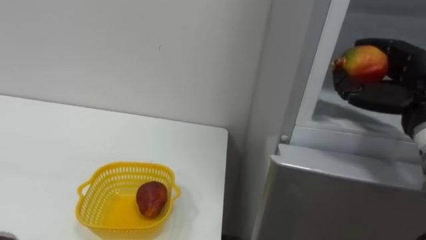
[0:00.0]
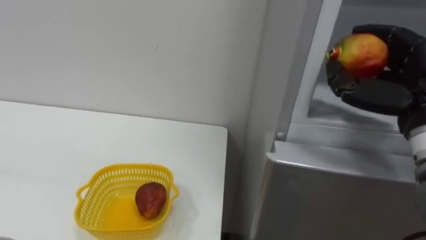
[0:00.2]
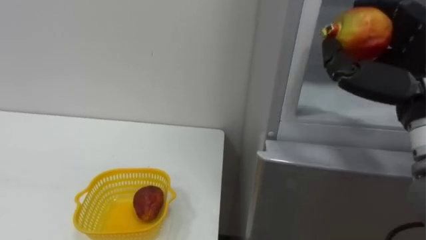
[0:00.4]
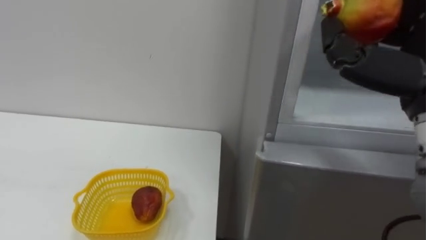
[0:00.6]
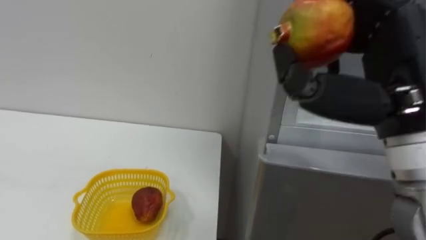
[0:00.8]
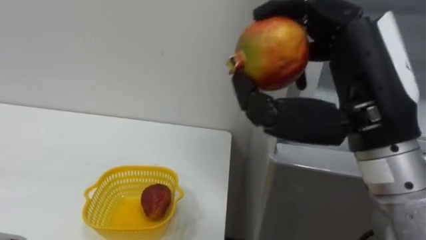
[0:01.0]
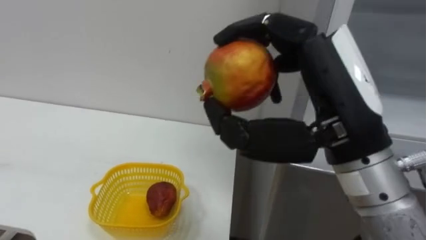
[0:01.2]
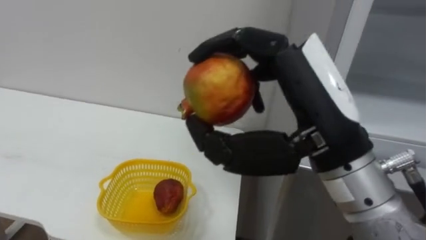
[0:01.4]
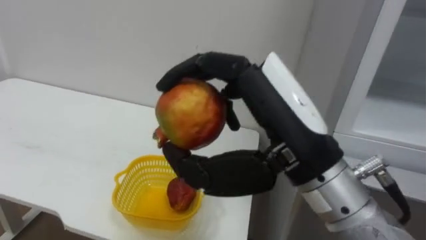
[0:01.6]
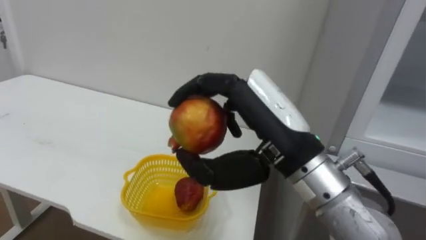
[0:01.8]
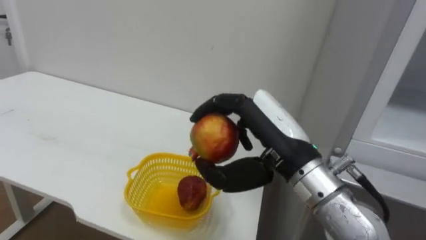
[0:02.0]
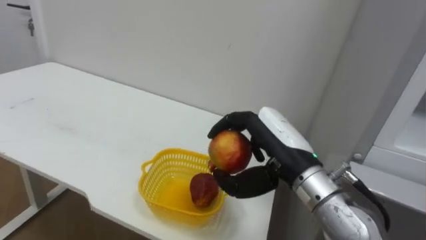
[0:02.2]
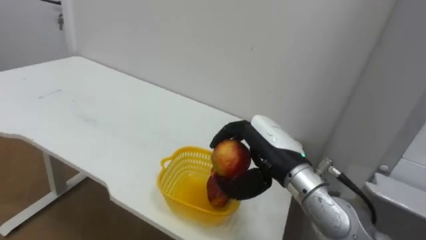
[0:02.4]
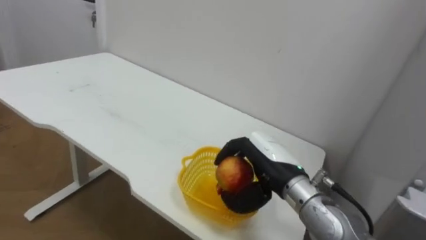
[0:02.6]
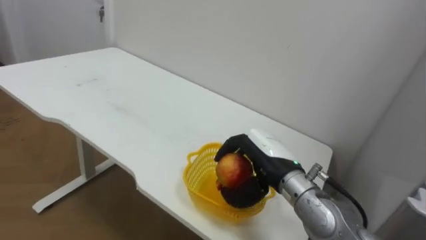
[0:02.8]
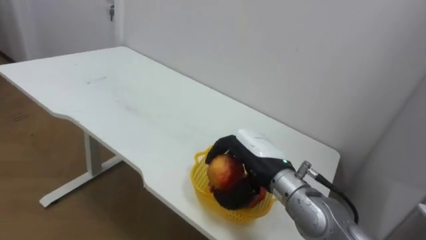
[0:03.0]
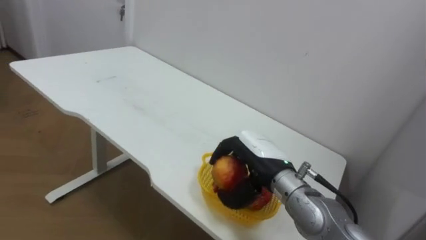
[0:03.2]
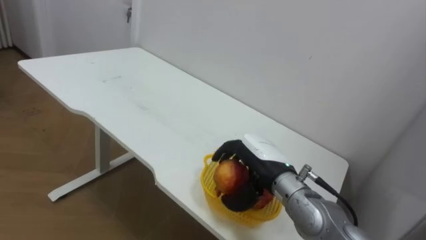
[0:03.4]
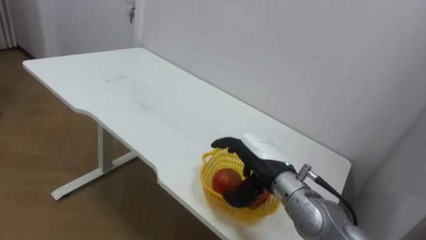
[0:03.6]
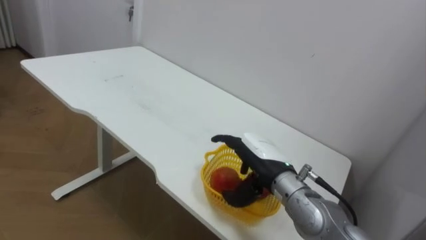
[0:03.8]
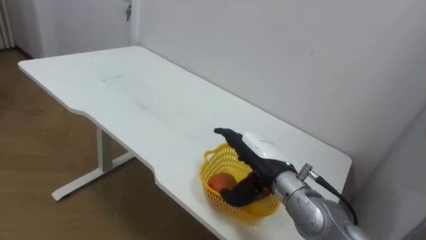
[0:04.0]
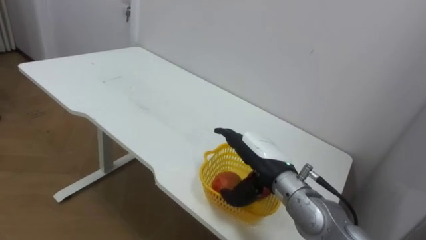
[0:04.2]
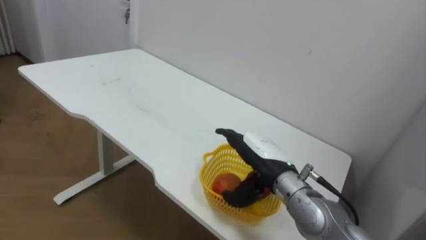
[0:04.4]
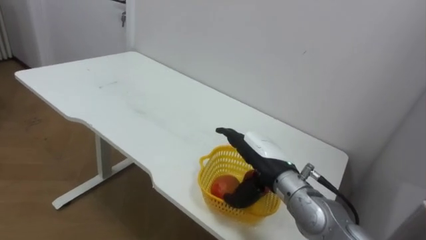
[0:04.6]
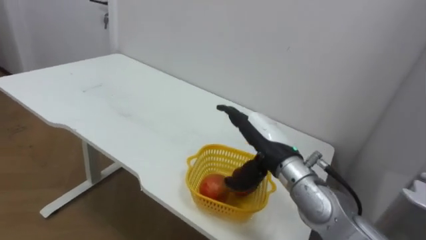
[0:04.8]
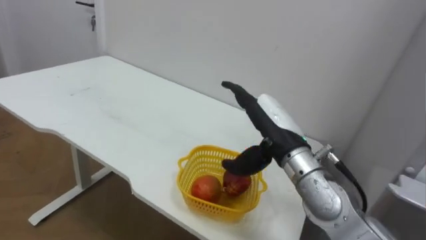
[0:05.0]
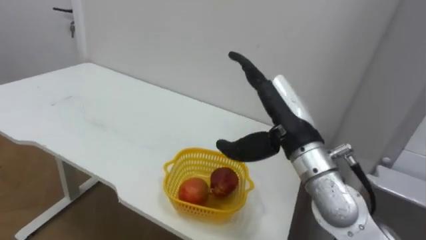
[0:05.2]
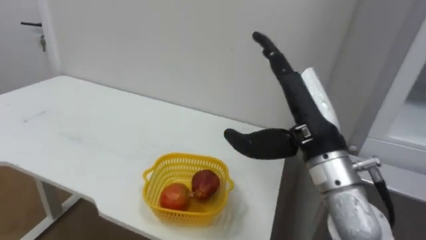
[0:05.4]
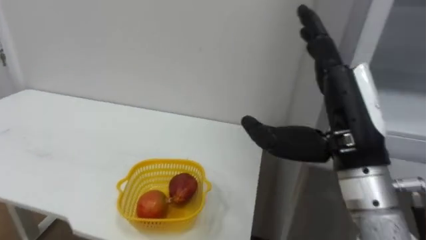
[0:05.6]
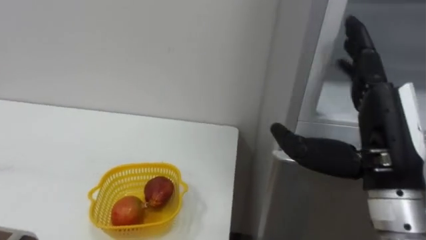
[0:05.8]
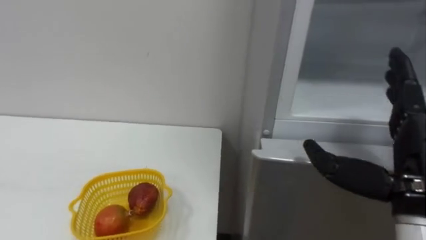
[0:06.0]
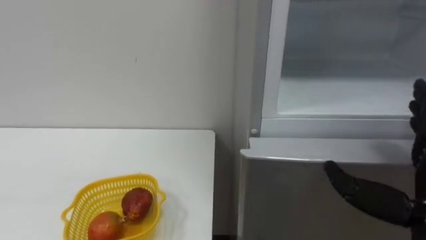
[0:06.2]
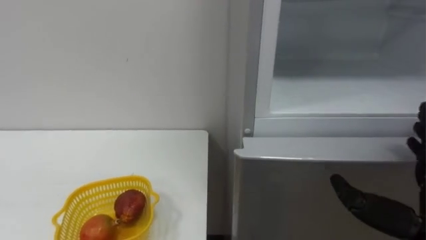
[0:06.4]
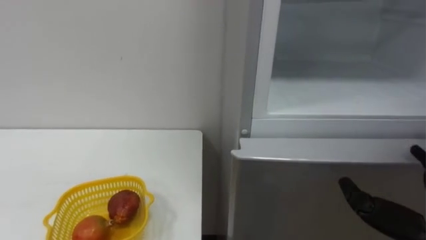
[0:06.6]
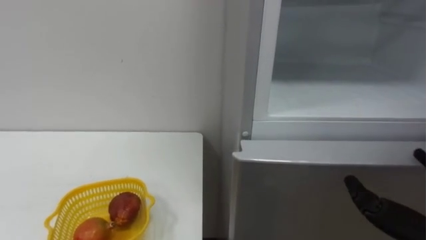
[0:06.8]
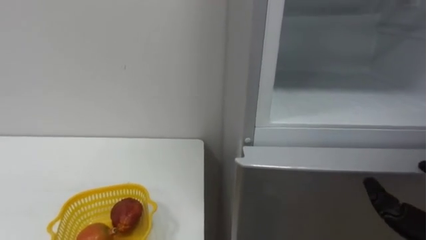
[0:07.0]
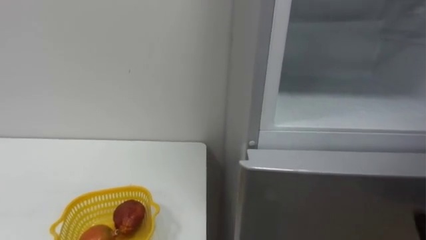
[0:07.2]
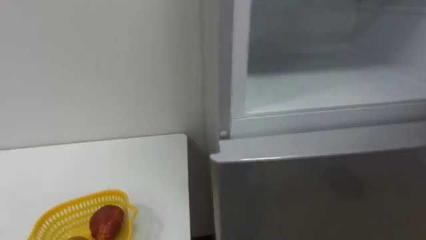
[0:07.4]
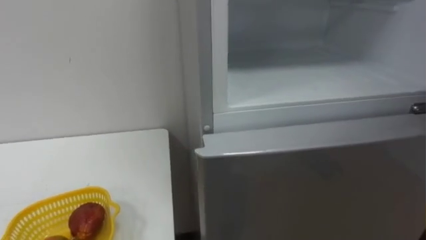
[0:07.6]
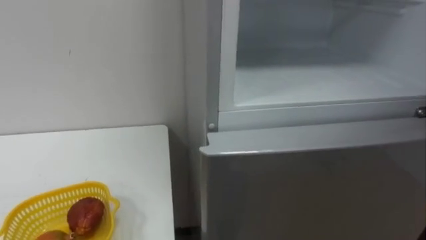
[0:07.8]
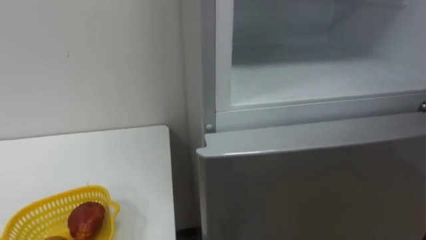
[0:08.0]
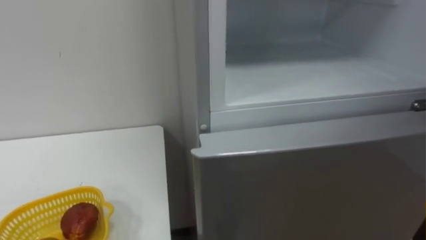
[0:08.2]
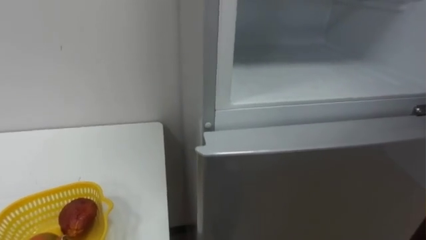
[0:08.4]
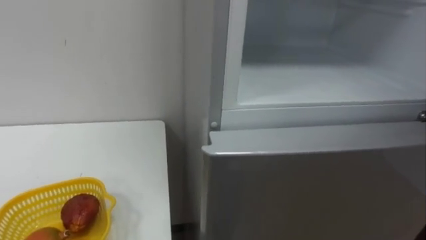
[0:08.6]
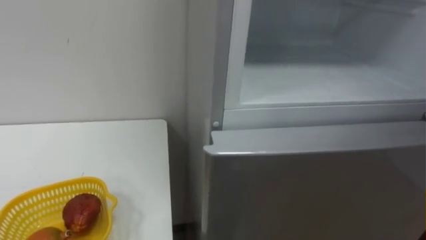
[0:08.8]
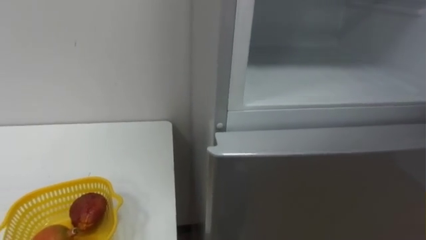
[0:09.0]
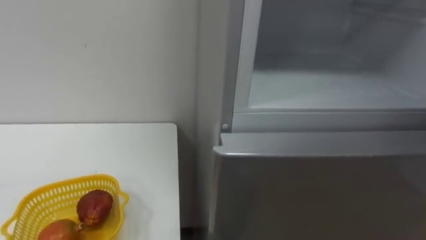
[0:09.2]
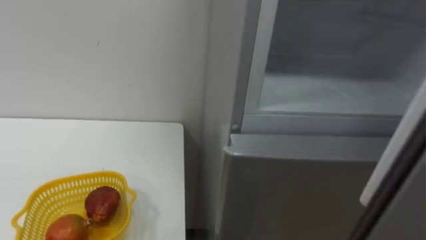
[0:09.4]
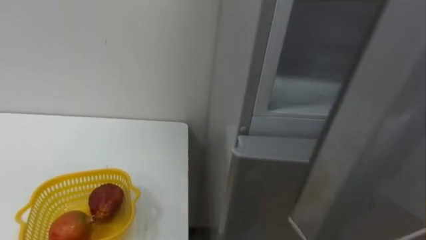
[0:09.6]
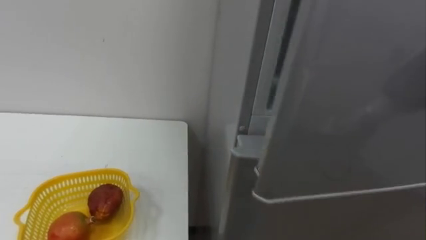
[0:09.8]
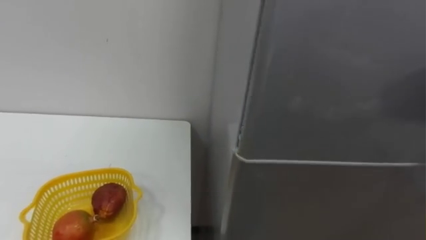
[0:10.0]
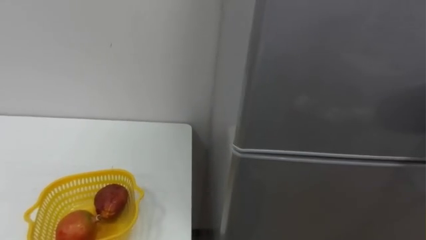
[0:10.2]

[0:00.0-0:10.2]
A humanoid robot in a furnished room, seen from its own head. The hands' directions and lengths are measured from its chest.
Task of the whole recording: Open the refrigerator door, take out the apple and the pomegranate, place them in the fruit basket on the left, and close the refrigerator door.
0:00.0 to 0:01.4: The right hand travels to the left and backward by approximately 20 cm.
0:01.4 to 0:03.0: The right hand is displaced downward and forward by approximately 20 cm.
0:03.0 to 0:04.4: The right hand opens.
0:04.4 to 0:05.8: The right hand heads upward, to the right and backward, covering approximately 20 cm.

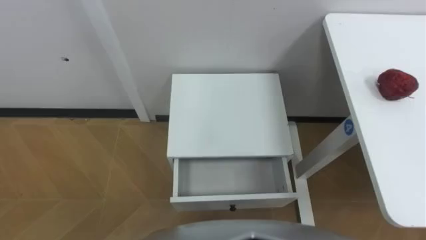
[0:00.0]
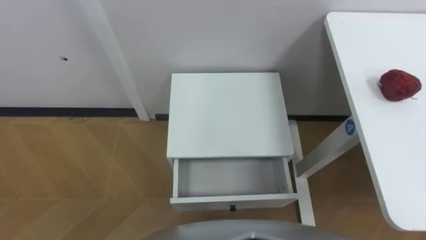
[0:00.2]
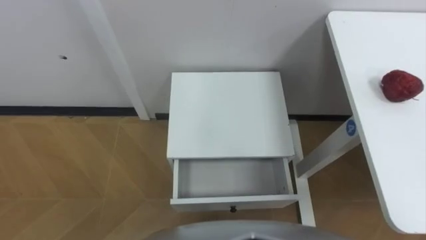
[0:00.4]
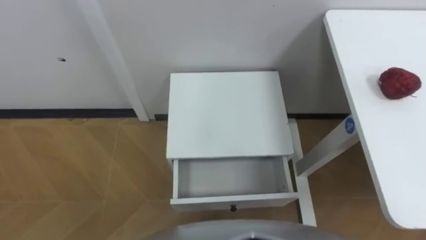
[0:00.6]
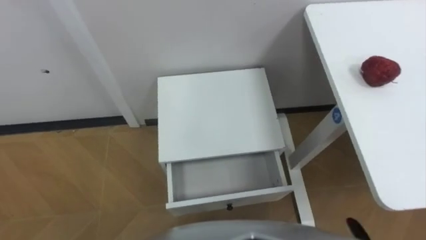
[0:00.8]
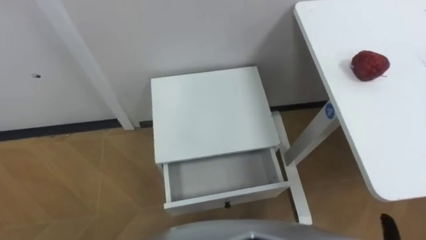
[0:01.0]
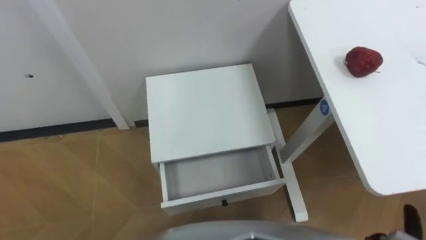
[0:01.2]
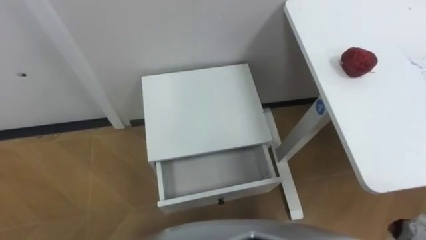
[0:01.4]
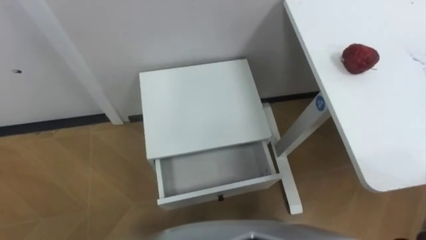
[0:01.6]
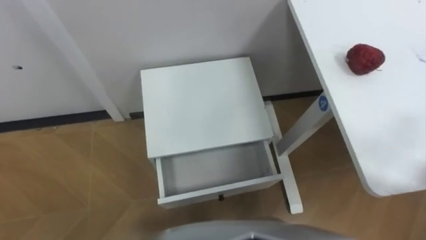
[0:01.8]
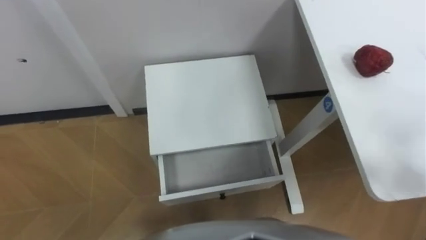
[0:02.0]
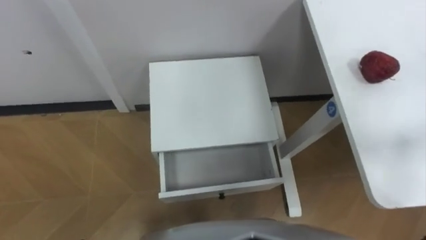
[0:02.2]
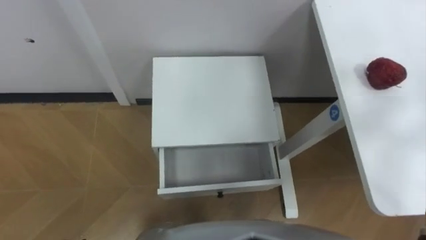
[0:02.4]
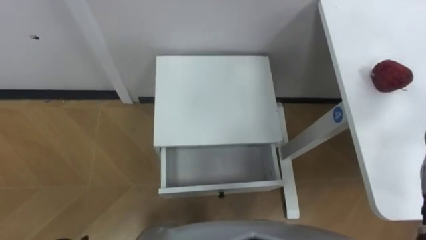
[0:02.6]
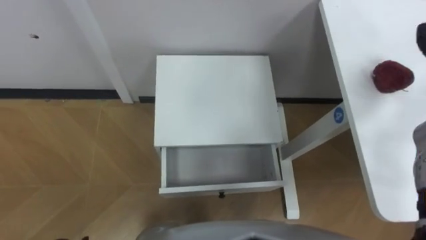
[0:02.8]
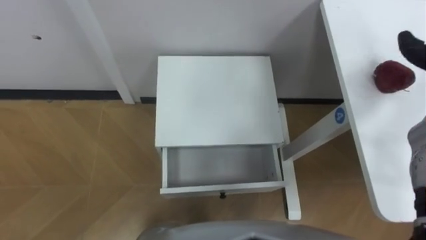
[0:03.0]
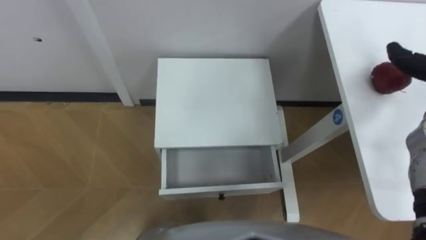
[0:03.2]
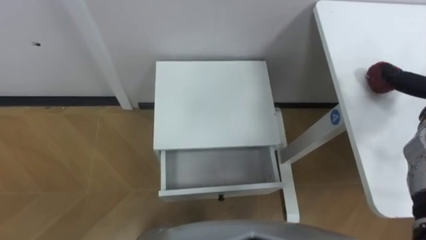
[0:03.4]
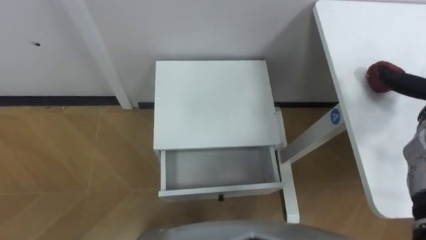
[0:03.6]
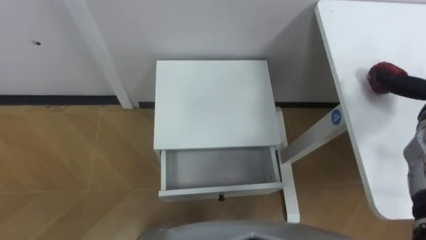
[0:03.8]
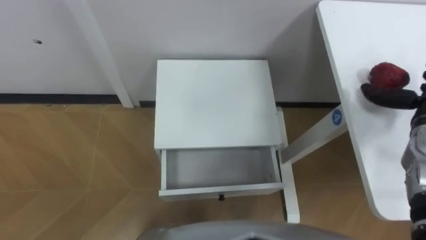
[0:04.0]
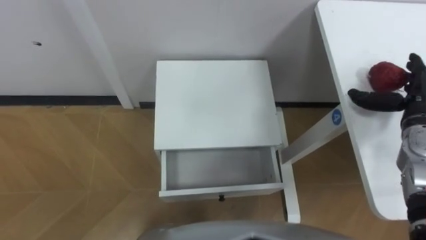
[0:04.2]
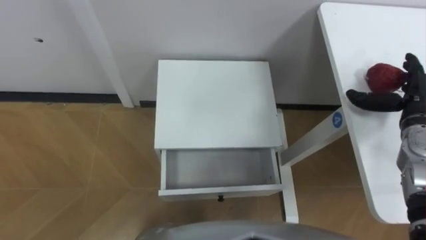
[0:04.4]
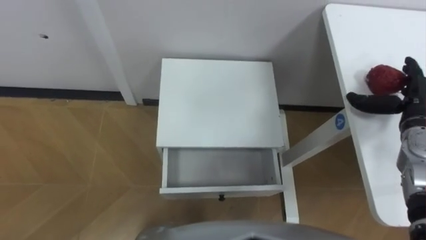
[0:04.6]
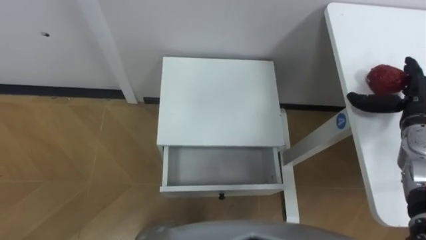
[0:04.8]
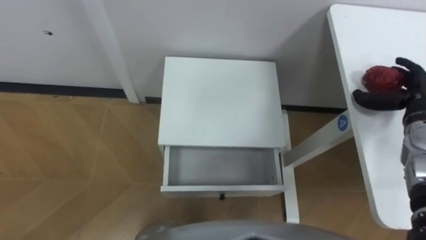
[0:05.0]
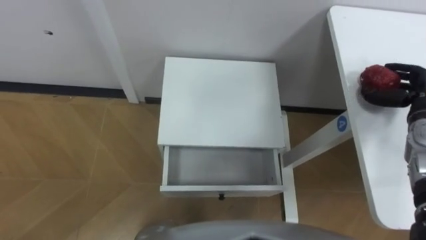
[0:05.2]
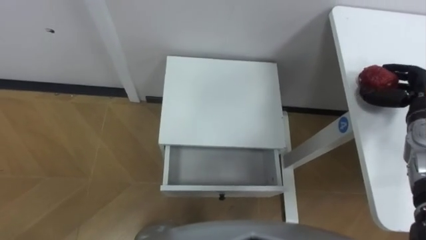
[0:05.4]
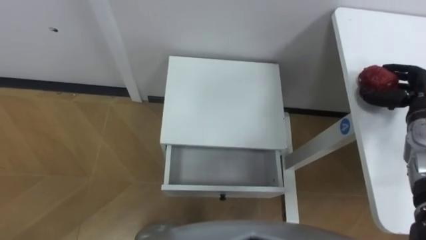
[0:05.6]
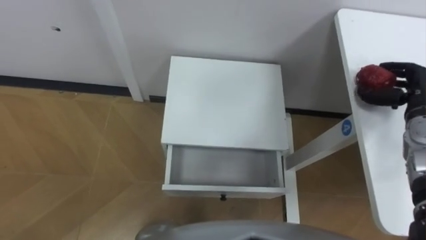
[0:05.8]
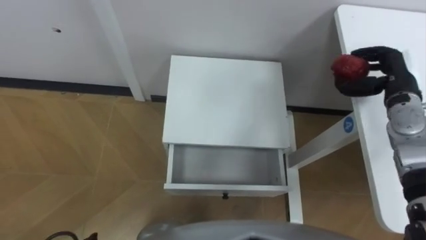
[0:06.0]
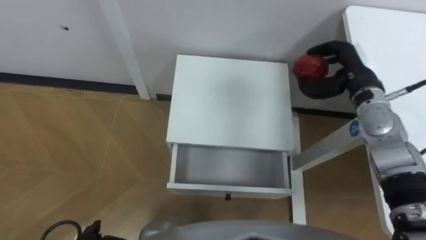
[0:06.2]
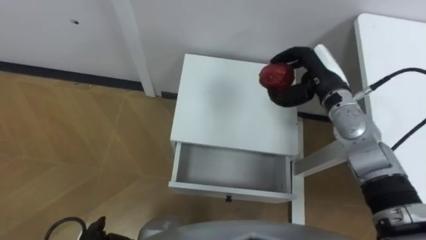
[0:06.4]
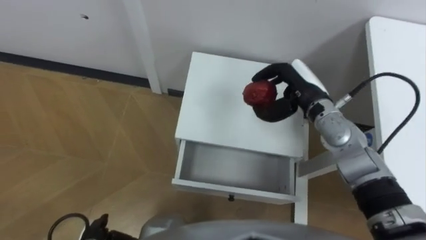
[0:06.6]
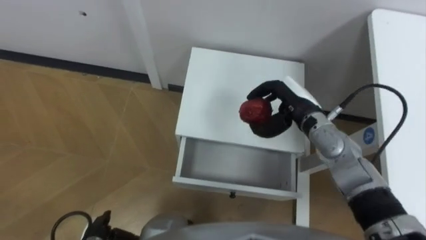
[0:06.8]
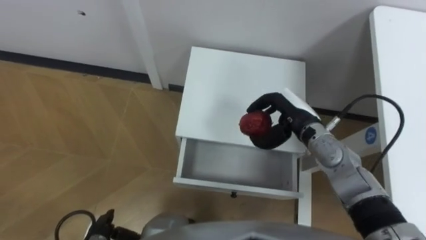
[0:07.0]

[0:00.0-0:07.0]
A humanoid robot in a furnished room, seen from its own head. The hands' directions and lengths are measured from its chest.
Task of the whole recording: Pick up the apple from the table, put it in the drawer, and close the drawer with leg.
0:04.2 to 0:05.6: The right hand closes up.
0:05.6 to 0:07.0: The right hand shifts some 25 cm to the left.
